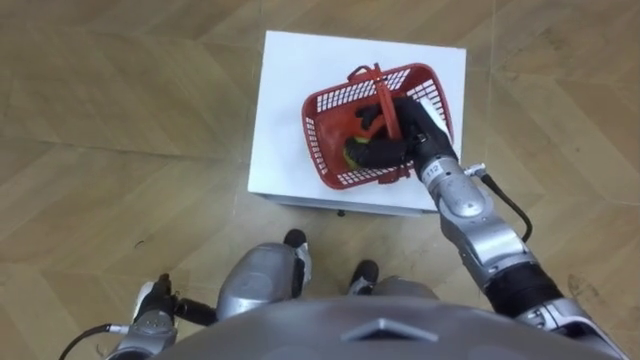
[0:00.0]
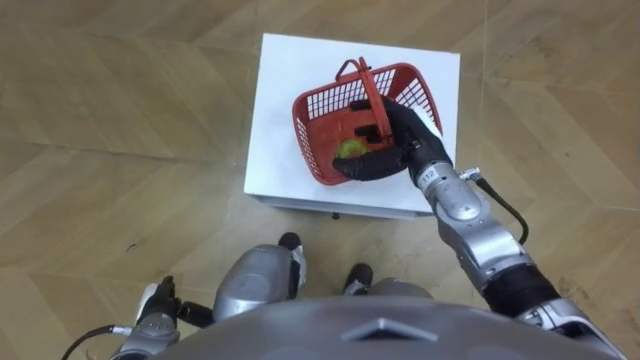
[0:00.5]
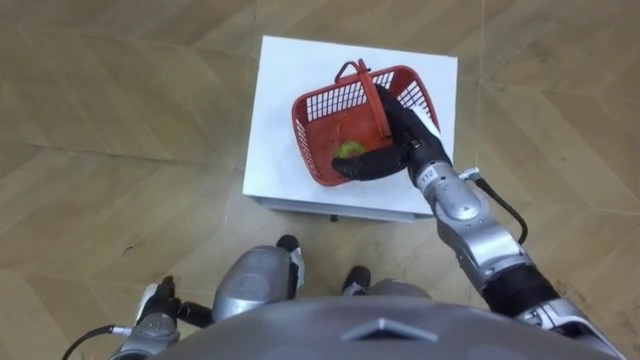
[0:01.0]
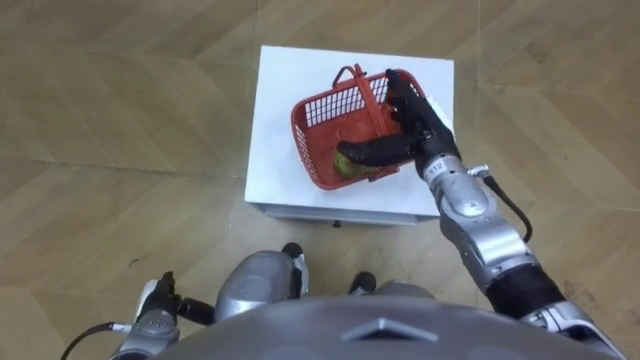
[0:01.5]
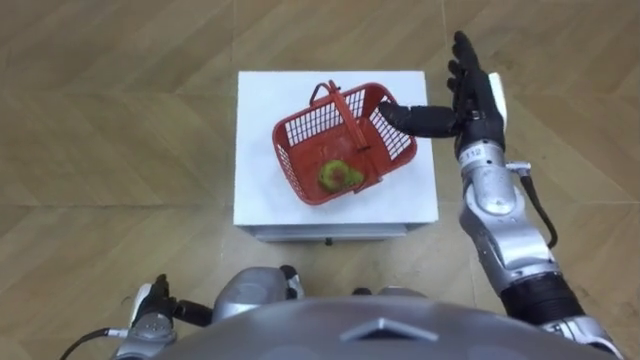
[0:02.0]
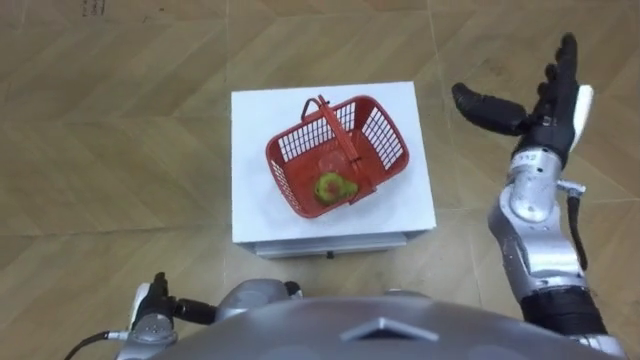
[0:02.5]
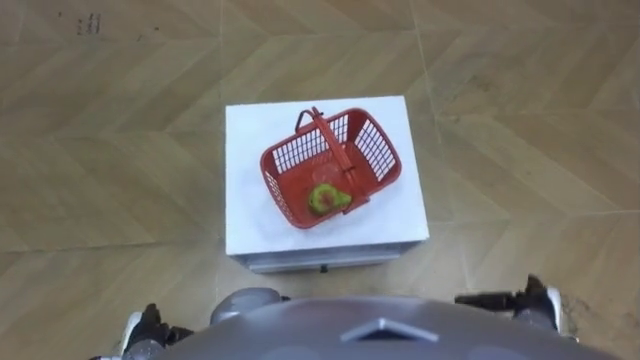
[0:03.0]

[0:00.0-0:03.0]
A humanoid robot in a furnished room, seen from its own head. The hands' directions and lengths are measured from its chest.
Task of the whole recording: Pick up the fruit basket from the floor and place it on the cabinet.
0:00.0 to 0:01.5: The right hand opens its fingers.
0:01.5 to 0:03.0: The right hand shifts some 30 cm backward, to the right and downward.

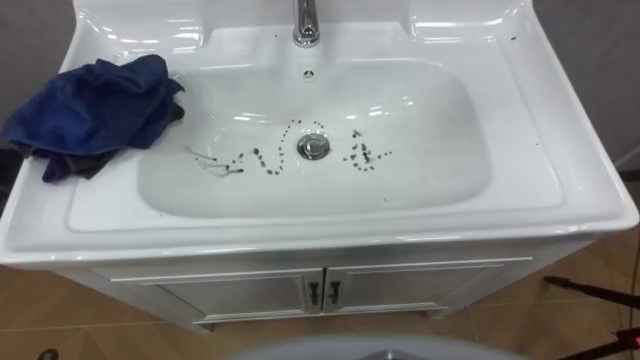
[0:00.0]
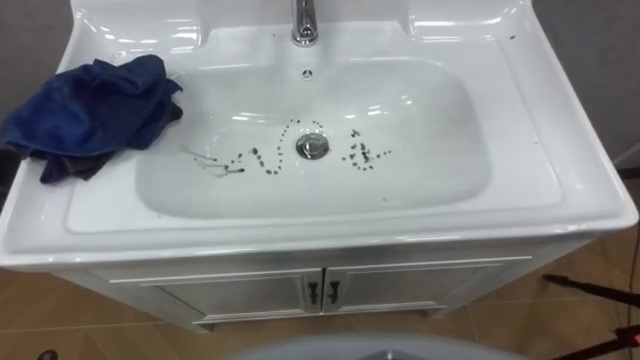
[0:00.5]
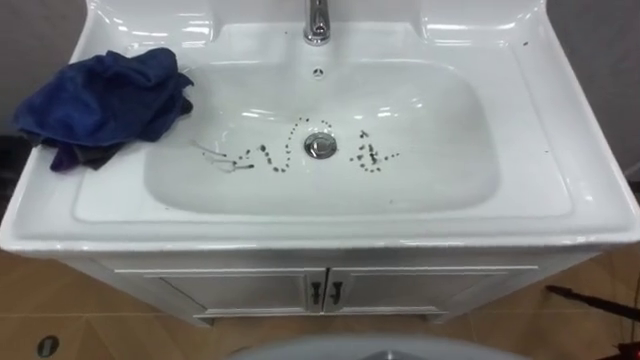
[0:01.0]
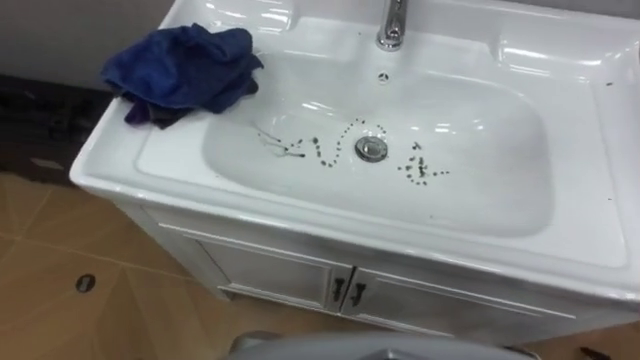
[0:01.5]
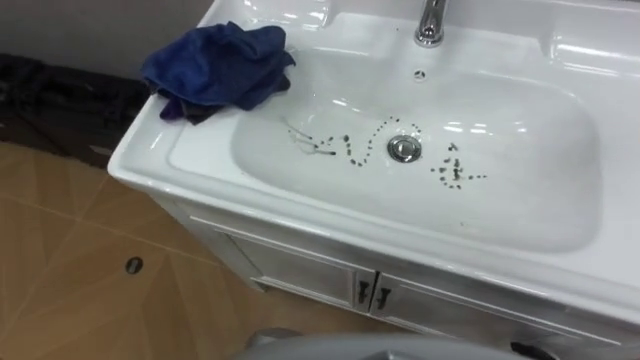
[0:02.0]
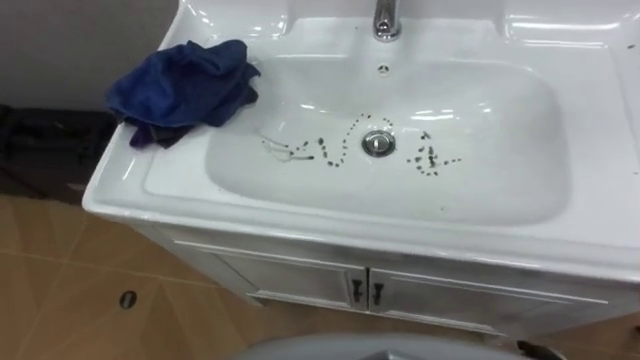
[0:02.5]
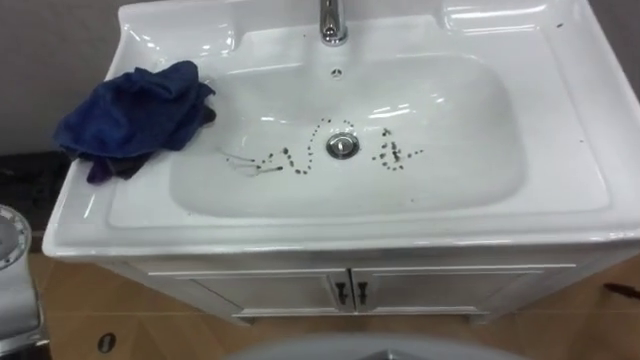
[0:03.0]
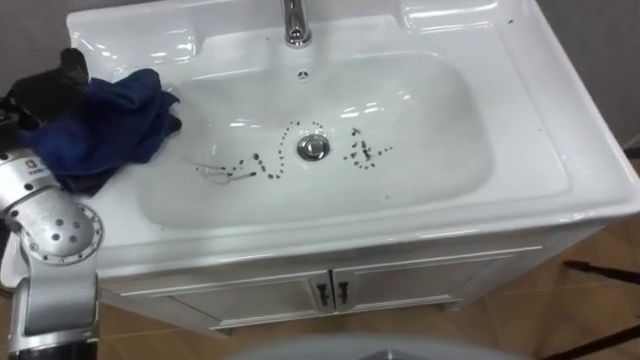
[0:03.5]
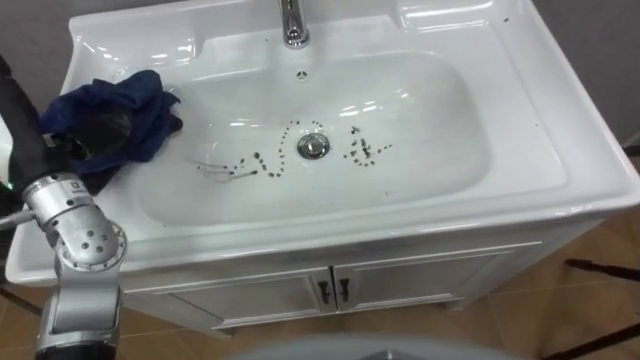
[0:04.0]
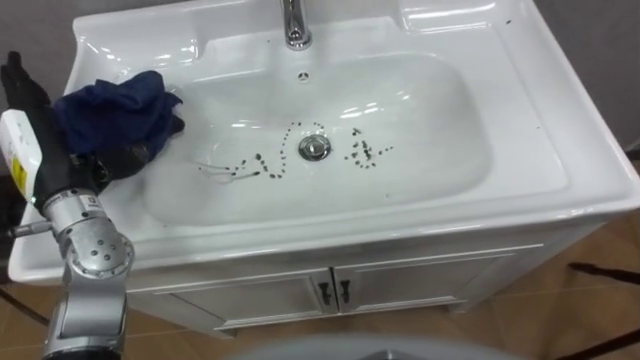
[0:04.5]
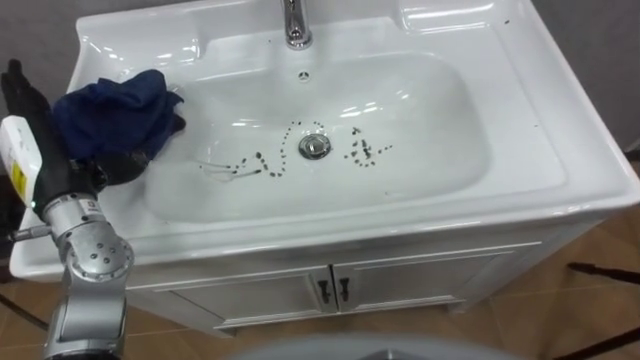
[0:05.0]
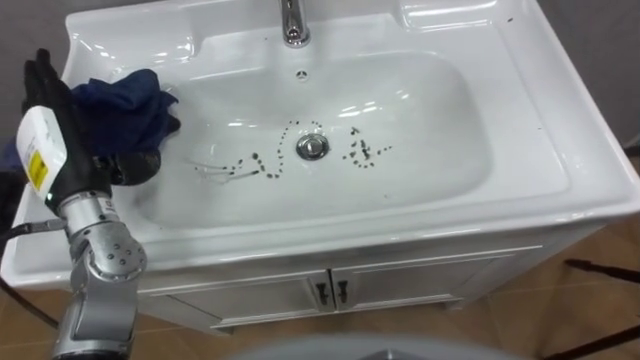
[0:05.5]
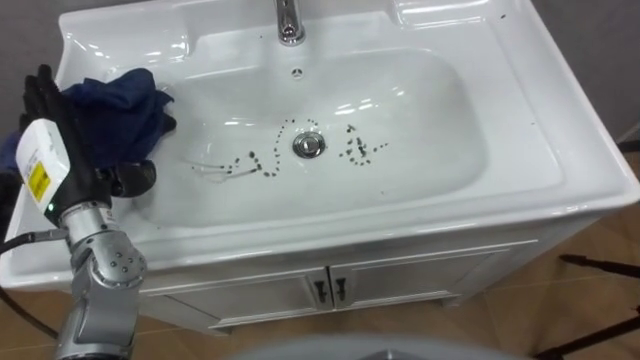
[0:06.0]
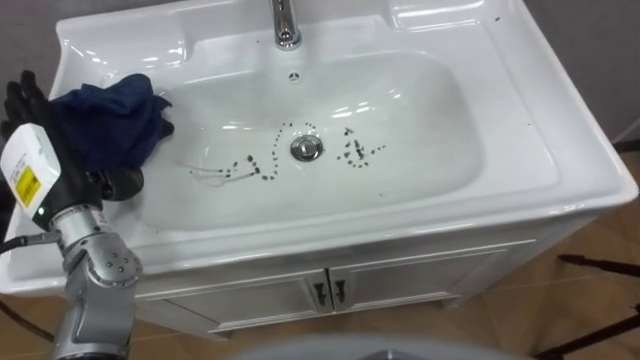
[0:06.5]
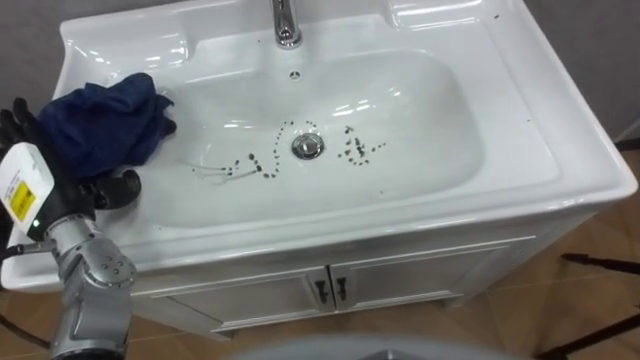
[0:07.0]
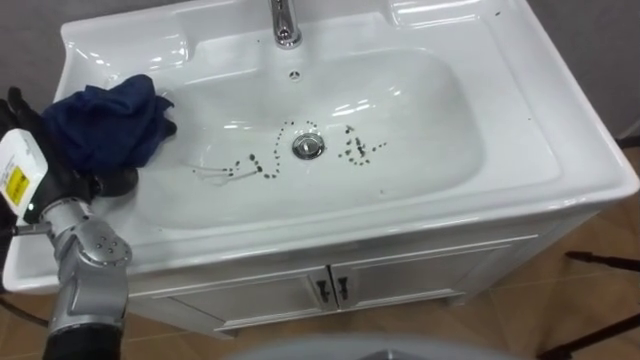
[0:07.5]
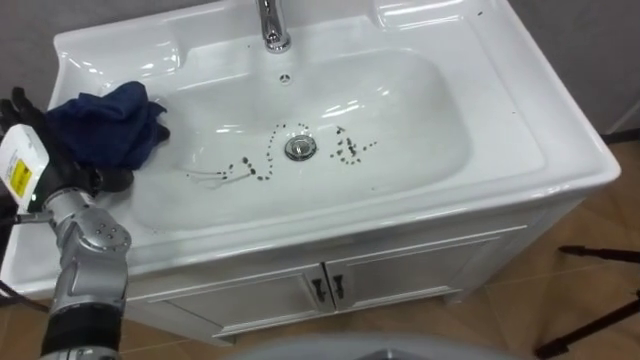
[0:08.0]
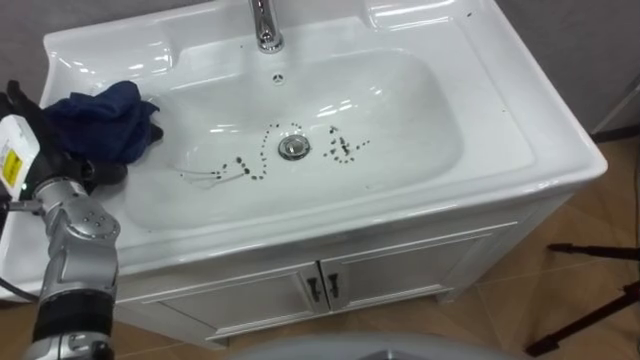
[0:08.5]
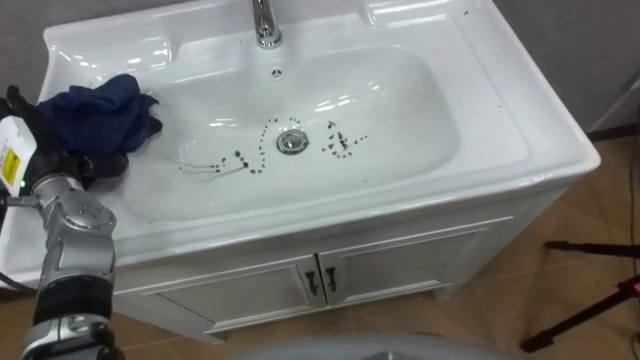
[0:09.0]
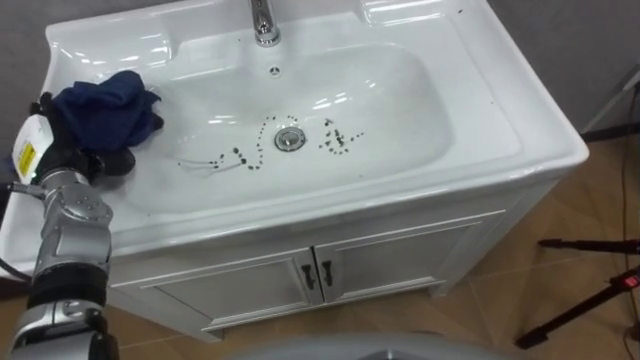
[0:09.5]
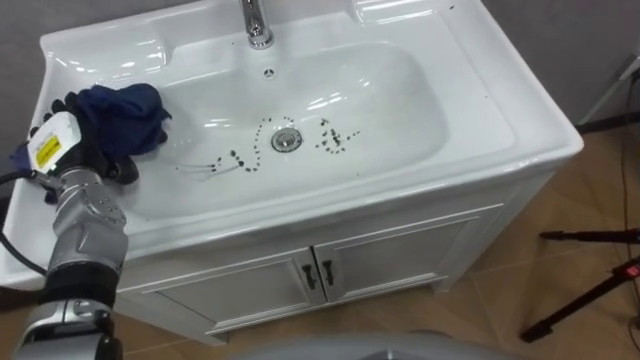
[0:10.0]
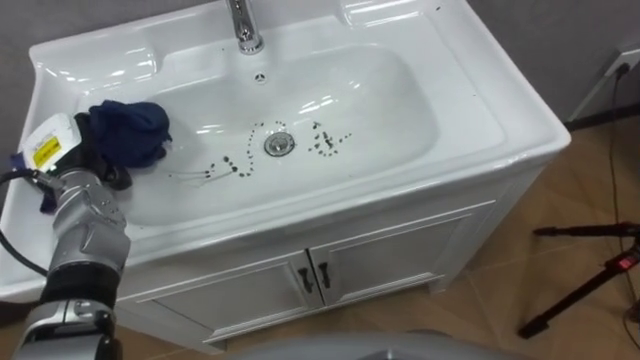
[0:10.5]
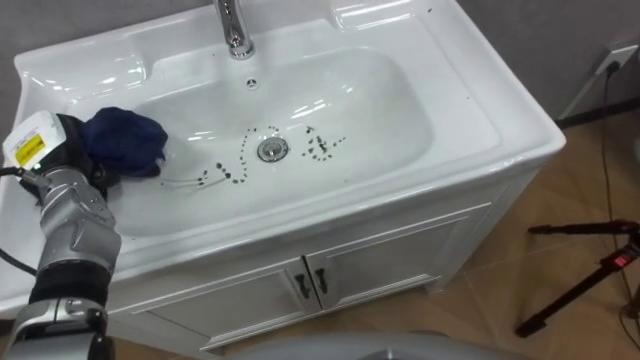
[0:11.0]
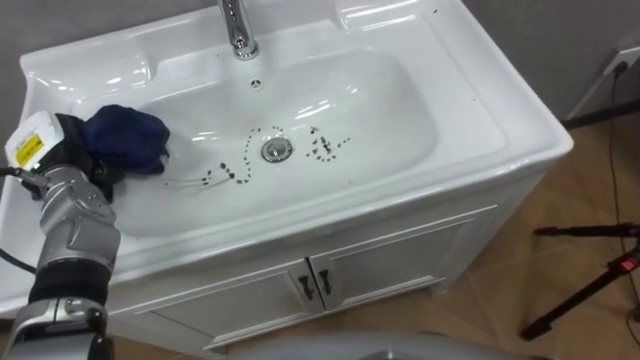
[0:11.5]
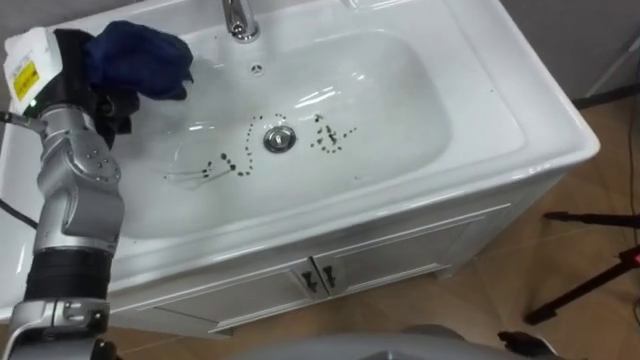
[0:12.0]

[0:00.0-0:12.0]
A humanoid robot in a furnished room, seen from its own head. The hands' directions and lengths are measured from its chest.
Task of the whole recording: Use the cloth on the right to wipe away the black stain in the sink.
0:04.0 to 0:06.0: The left hand moves downward, some 5 cm.
0:06.0 to 0:08.0: The left hand shifts by roughly 5 cm.
0:10.0 to 0:12.0: The left hand goes approximately 10 cm upward, and closes up.

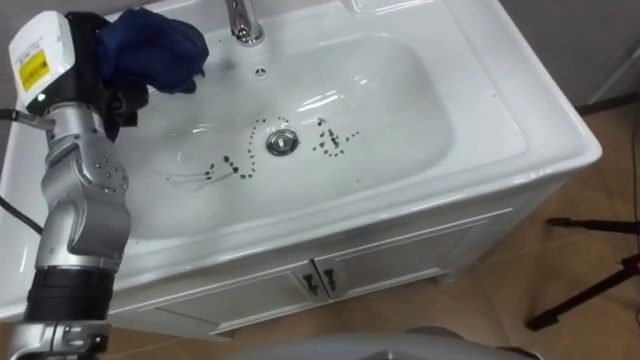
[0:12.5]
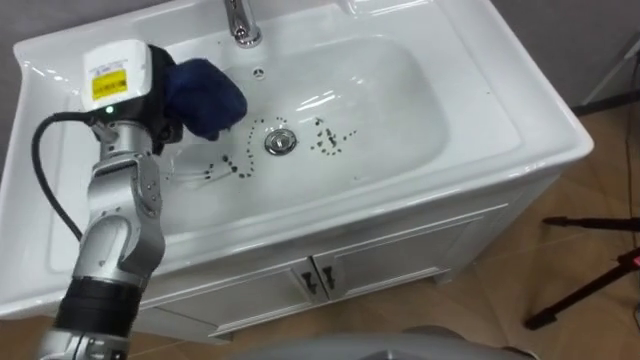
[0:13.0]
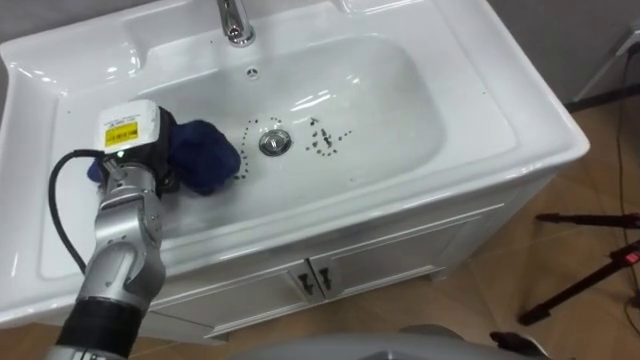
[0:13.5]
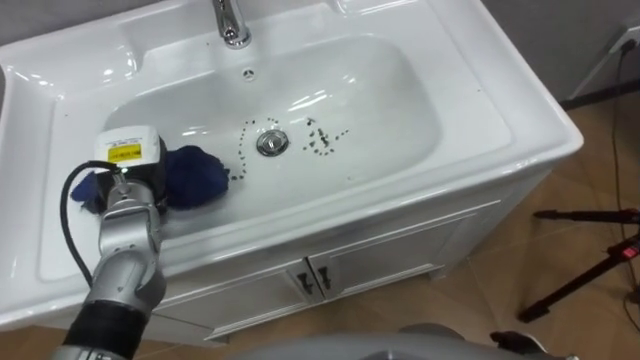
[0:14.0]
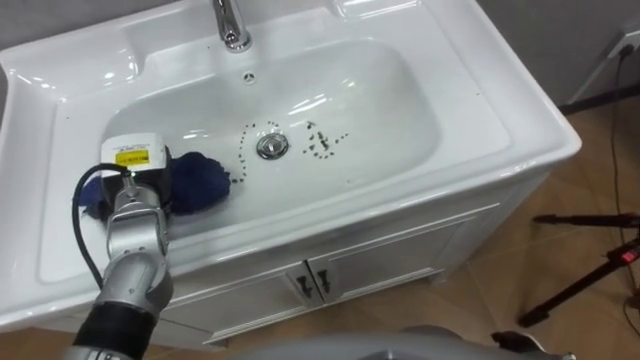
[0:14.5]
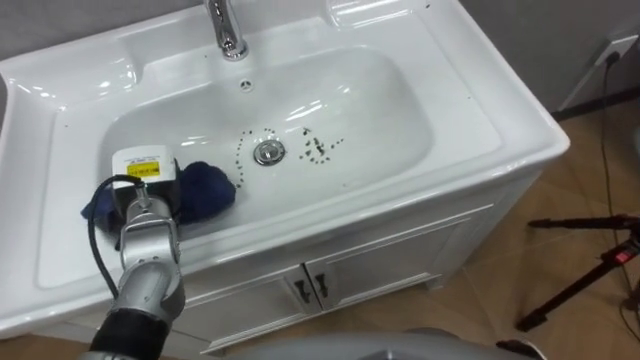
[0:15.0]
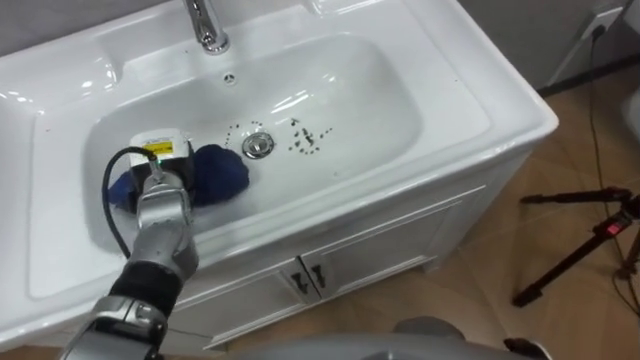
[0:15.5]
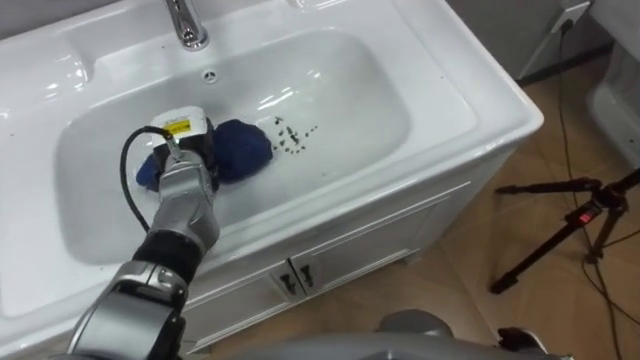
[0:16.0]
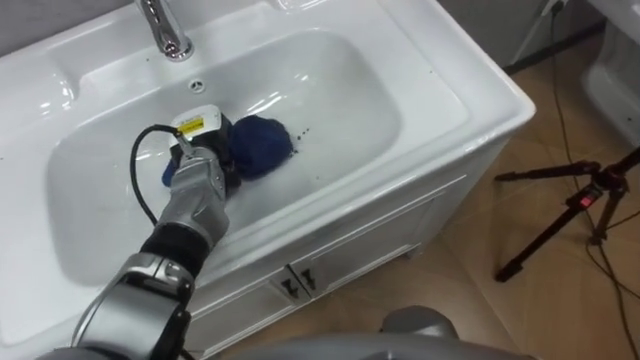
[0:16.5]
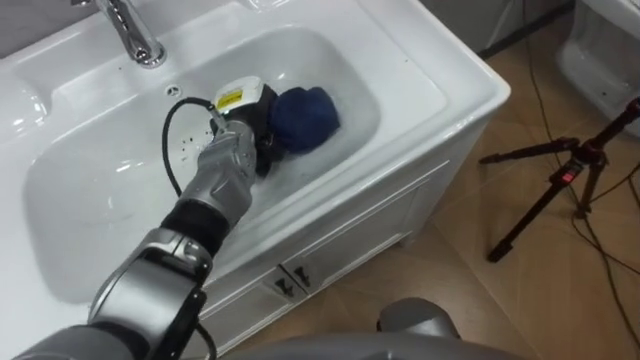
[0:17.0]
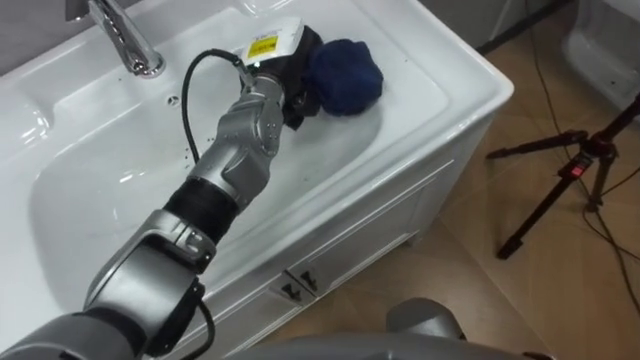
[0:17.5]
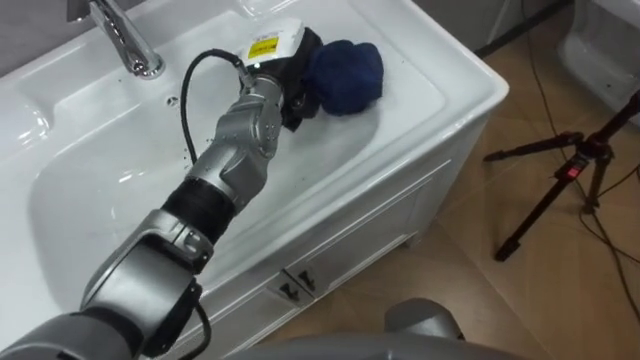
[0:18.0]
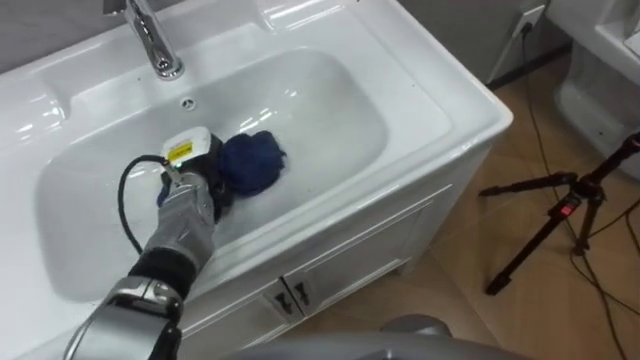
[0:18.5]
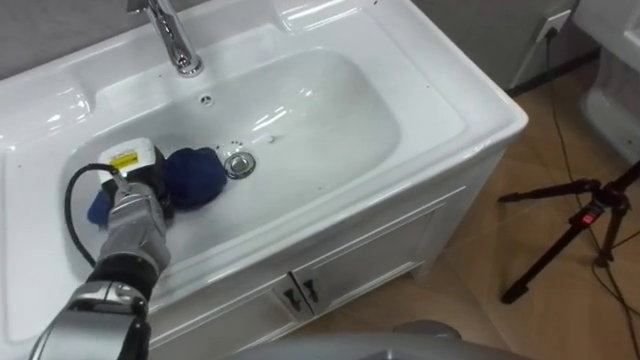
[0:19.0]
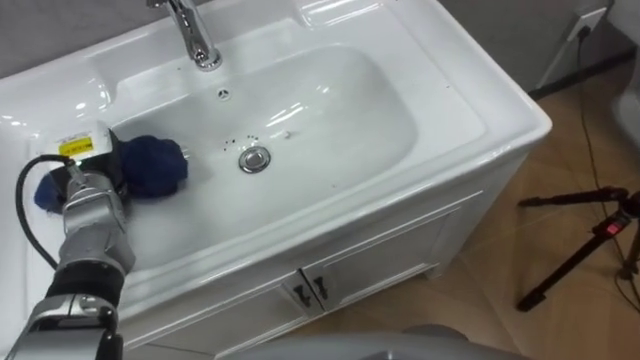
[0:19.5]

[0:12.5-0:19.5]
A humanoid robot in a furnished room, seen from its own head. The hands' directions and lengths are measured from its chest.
Task of the whole recording: Use the cloth on the right to wipe away the black stain in the sink.
0:12.5 to 0:14.5: The left hand goes some 15 cm downward.
0:14.5 to 0:16.0: The left hand heads forward and to the right, covering approximately 10 cm.
0:16.0 to 0:17.5: The left hand moves to the right, upward and forward, some 20 cm.
0:17.5 to 0:19.5: The left hand heads to the left, covering roughly 25 cm.
